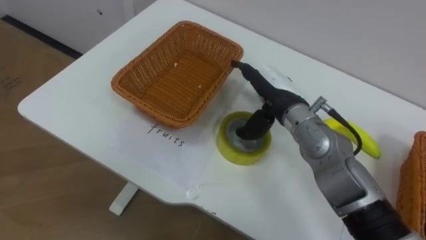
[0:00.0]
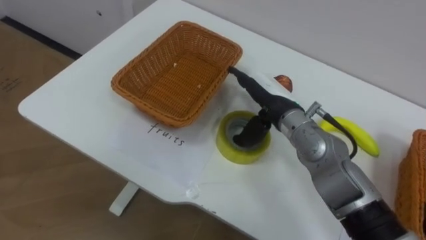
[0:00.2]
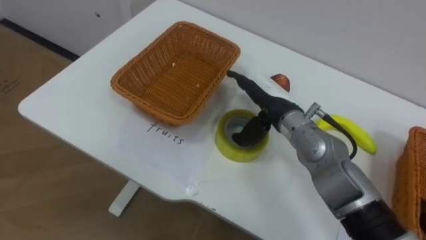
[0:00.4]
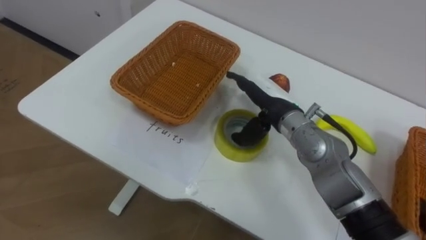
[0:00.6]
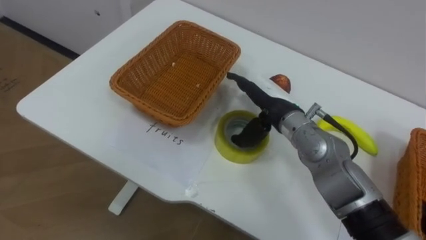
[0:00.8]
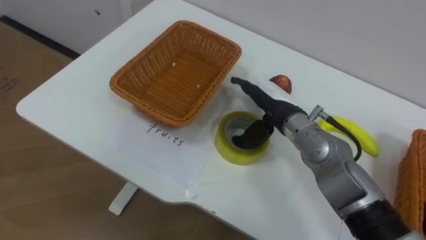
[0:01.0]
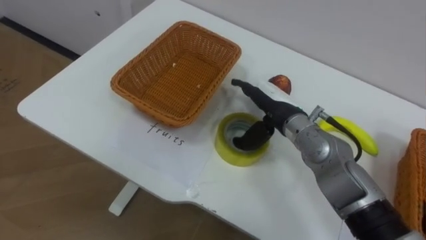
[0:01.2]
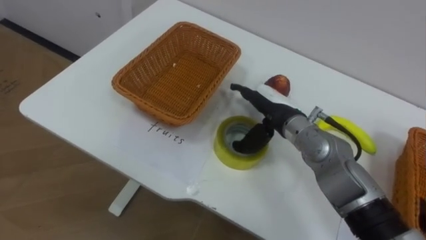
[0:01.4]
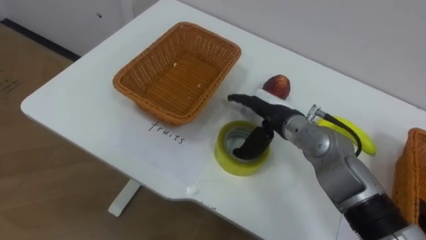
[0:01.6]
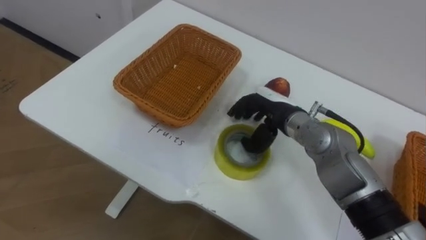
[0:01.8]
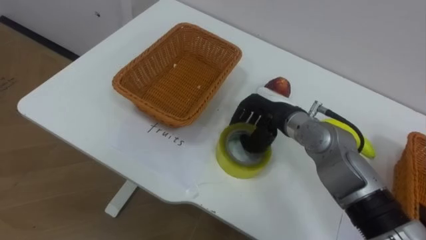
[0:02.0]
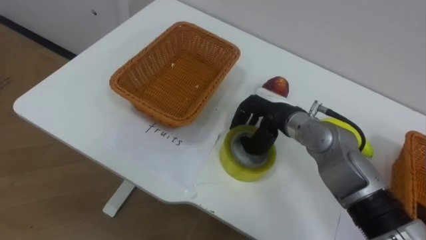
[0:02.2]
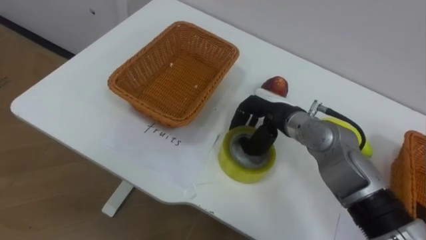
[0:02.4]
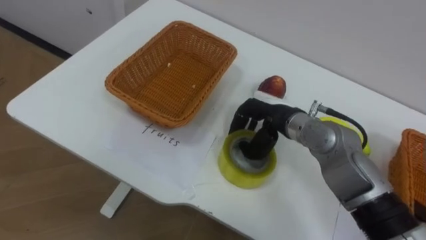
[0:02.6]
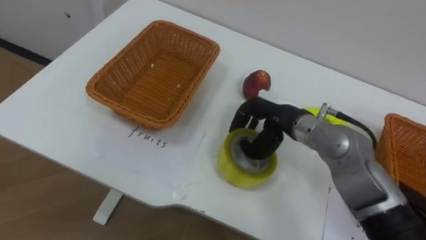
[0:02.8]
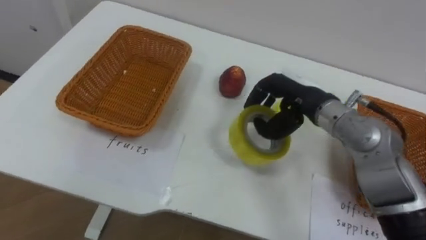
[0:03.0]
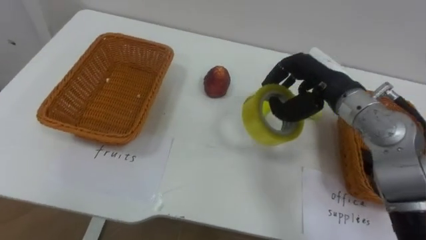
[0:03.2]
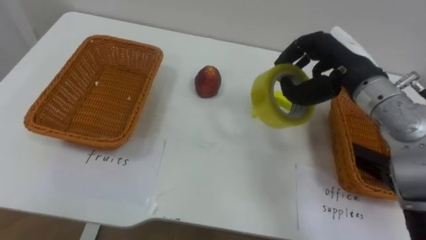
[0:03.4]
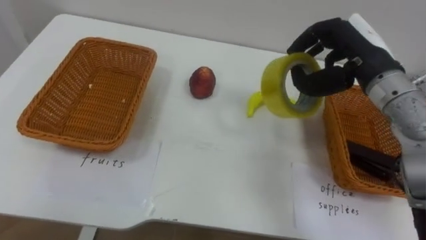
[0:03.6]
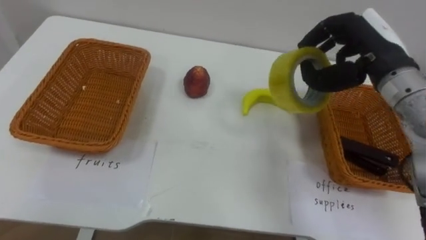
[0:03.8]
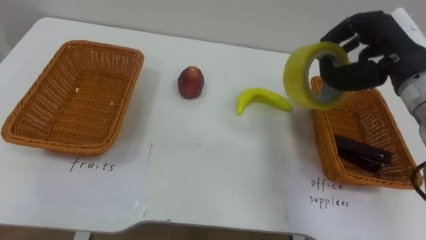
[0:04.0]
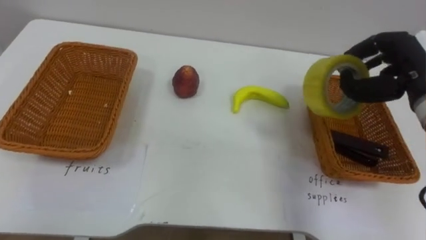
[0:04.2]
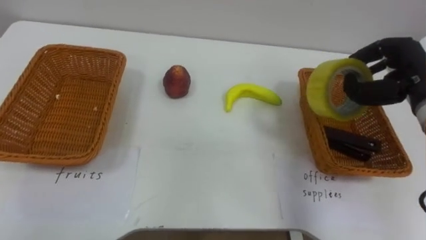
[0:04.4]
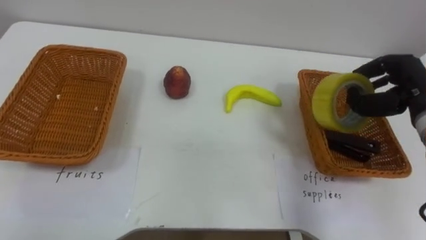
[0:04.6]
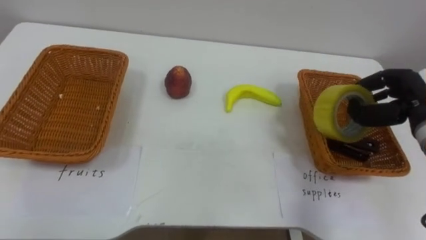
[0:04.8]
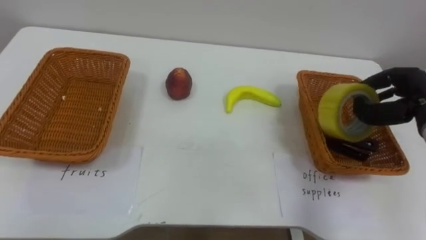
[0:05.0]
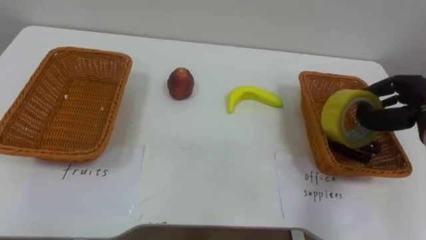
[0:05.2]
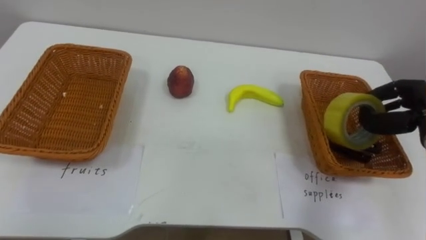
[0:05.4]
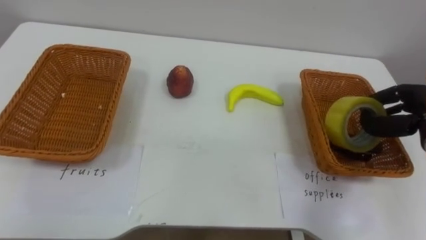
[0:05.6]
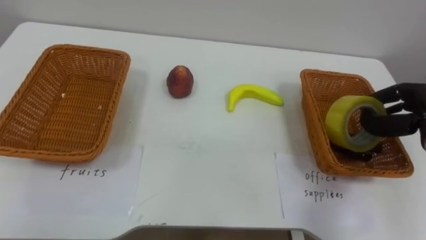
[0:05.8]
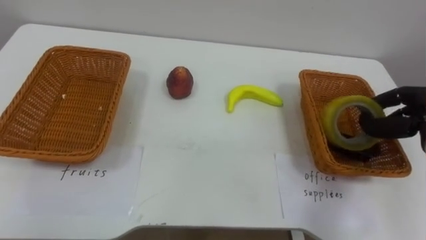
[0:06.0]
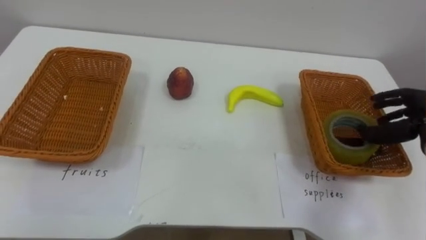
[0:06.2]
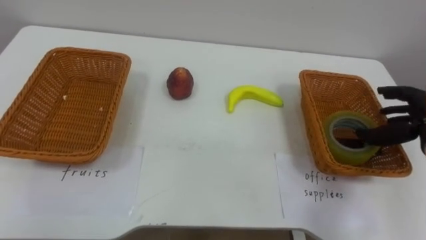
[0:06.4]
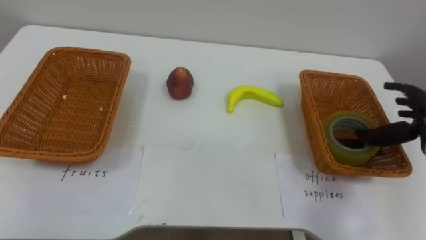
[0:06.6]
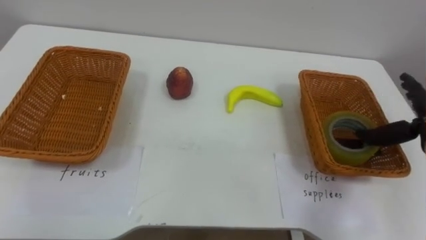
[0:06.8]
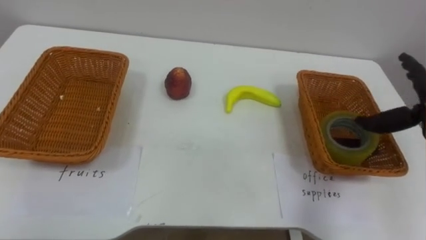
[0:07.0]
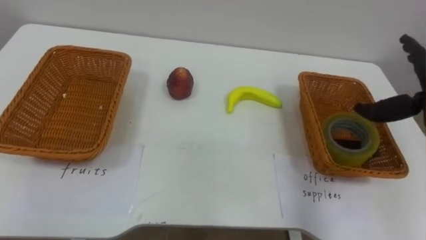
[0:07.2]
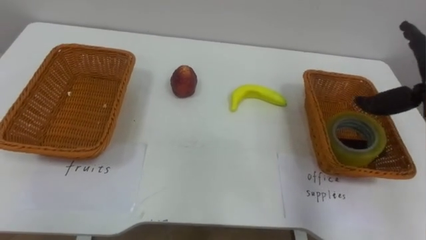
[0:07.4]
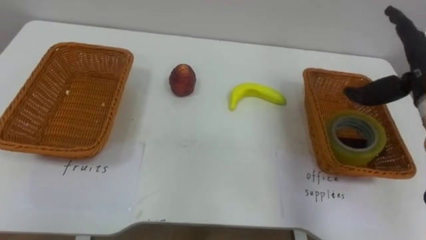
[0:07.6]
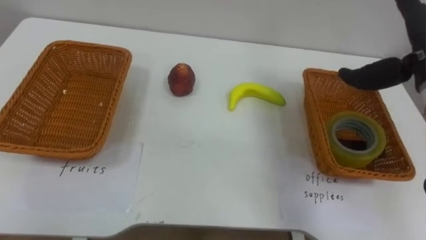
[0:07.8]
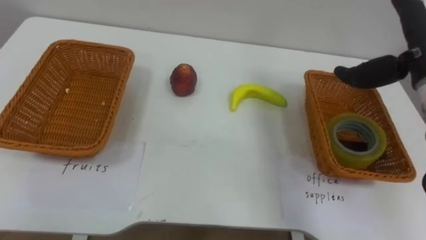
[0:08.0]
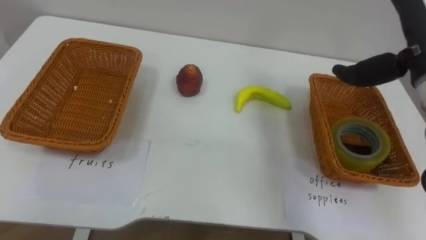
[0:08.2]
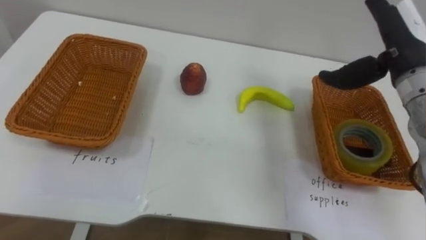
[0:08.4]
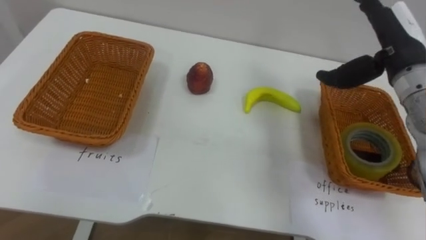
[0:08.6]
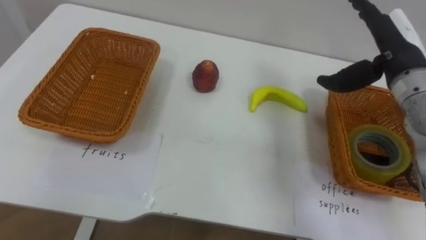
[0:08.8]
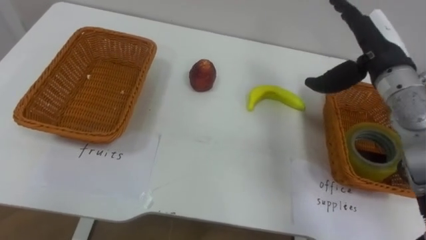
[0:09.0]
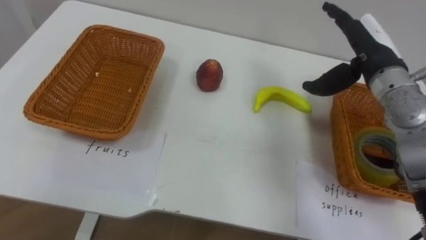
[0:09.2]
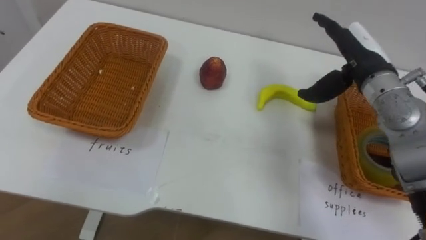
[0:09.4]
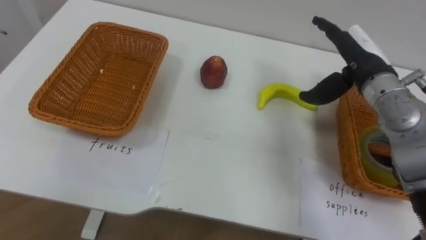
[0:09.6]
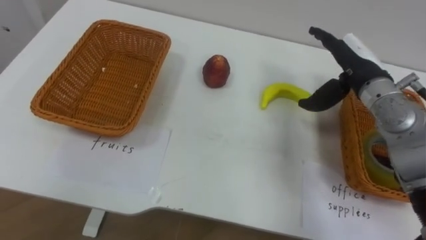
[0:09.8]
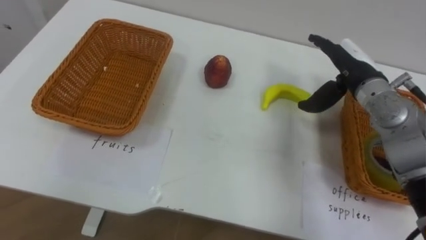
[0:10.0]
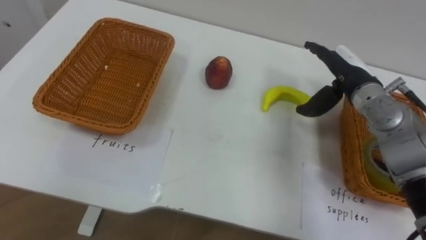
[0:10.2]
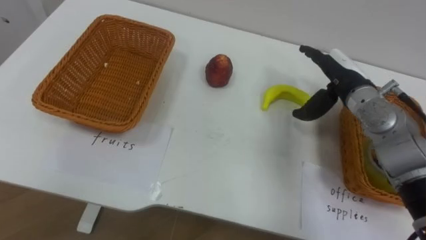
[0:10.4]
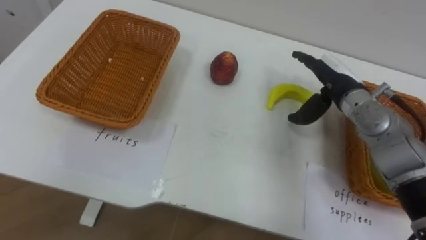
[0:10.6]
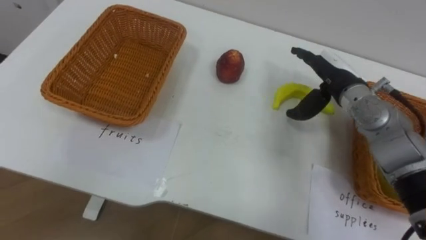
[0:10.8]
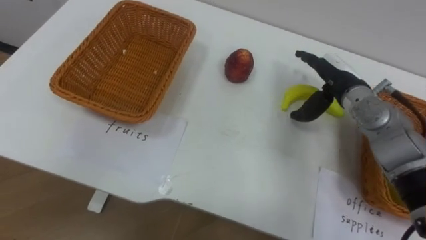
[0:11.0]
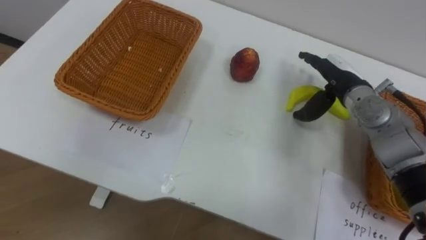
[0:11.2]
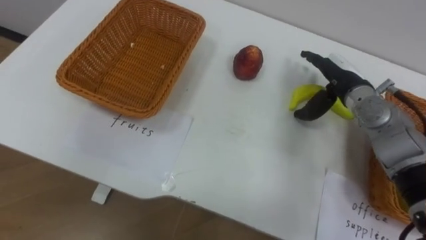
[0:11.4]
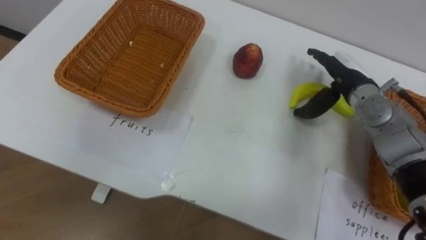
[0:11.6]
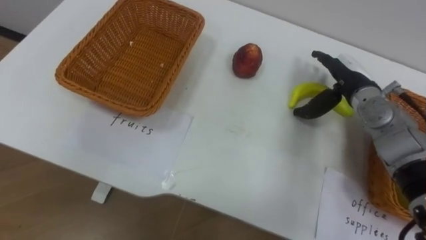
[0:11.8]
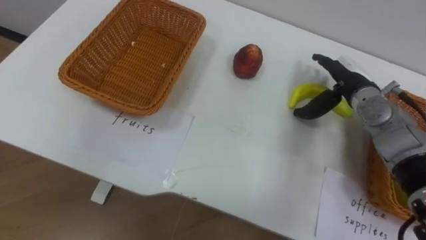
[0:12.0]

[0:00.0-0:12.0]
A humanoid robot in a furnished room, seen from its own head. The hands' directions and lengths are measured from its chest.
Task of the whole recording: Separate the items on the table and place them into the two baskets.
0:01.6 to 0:03.0: The right hand heads upward, covering approximately 5 cm, and closes.
0:03.0 to 0:04.4: The right hand shifts about 15 cm to the right.
0:04.4 to 0:06.0: The right hand goes about 10 cm downward and to the right.
0:07.6 to 0:09.0: The right hand is displaced to the left by roughly 5 cm.
0:09.0 to 0:10.4: The right hand moves downward, approximately 10 cm.

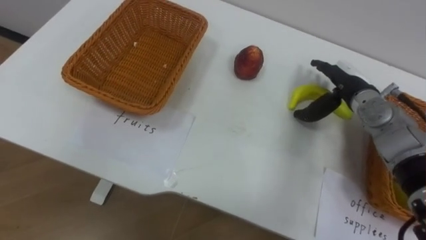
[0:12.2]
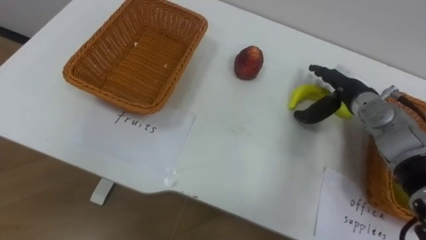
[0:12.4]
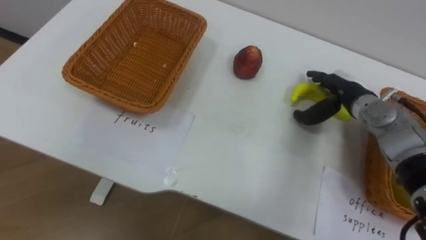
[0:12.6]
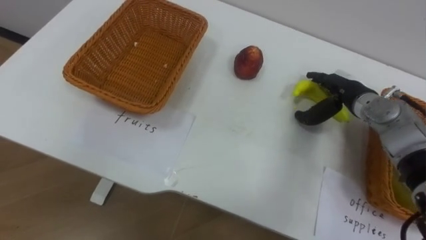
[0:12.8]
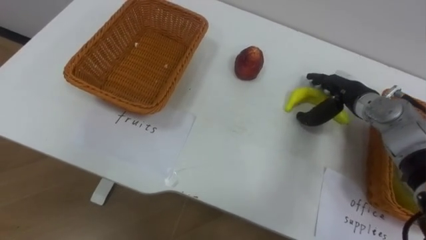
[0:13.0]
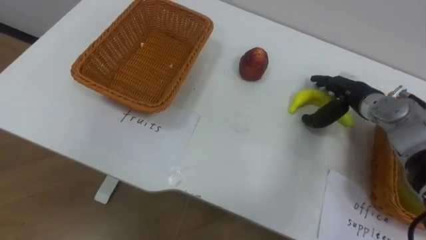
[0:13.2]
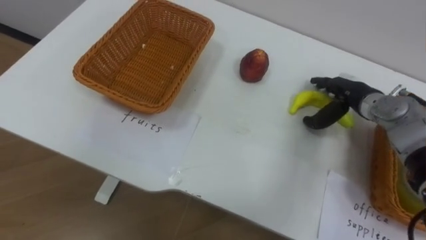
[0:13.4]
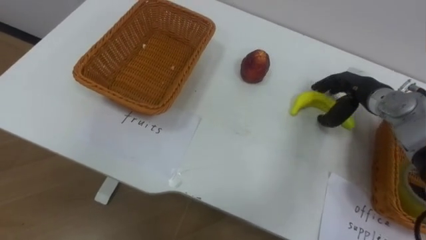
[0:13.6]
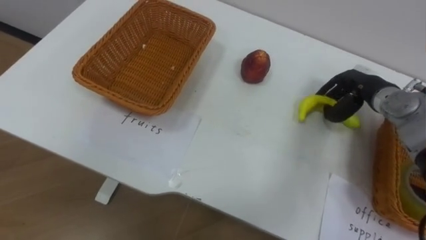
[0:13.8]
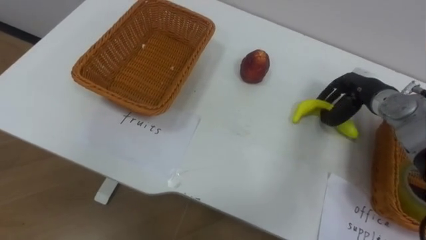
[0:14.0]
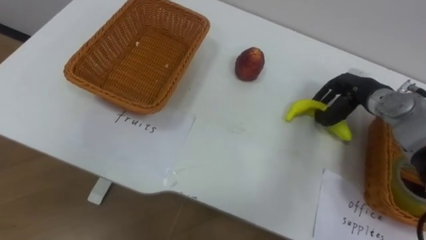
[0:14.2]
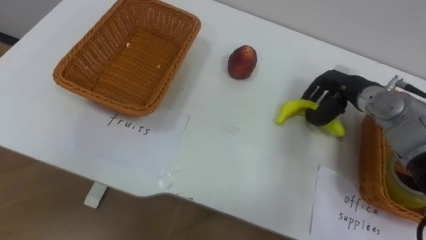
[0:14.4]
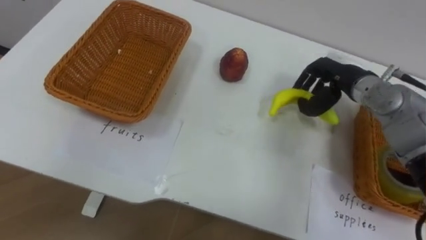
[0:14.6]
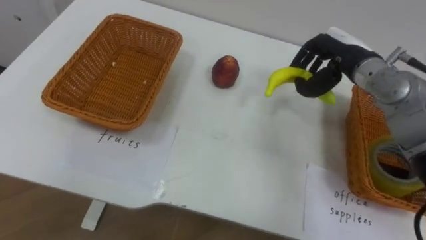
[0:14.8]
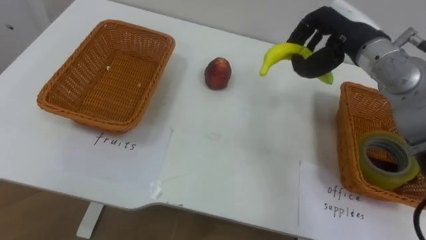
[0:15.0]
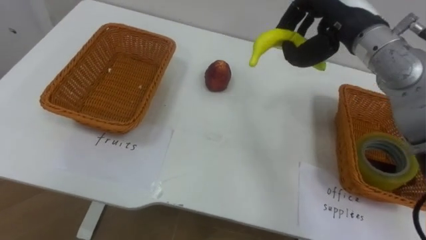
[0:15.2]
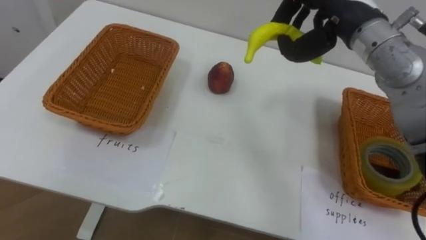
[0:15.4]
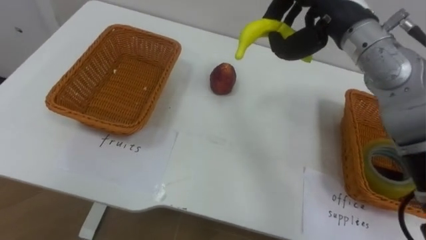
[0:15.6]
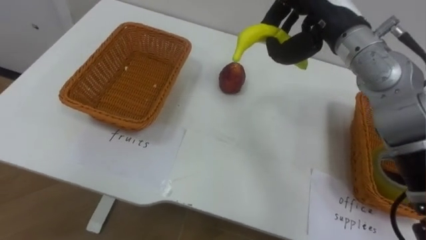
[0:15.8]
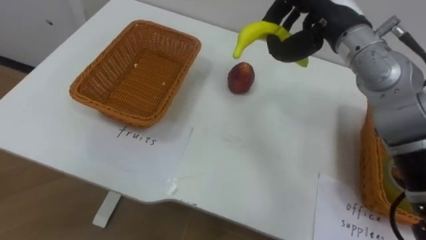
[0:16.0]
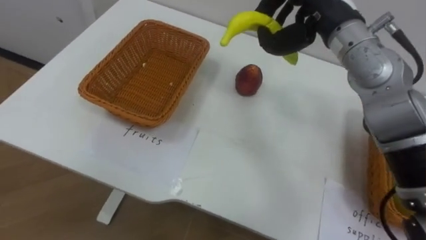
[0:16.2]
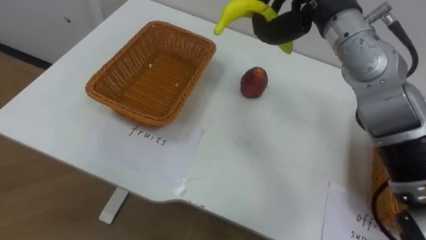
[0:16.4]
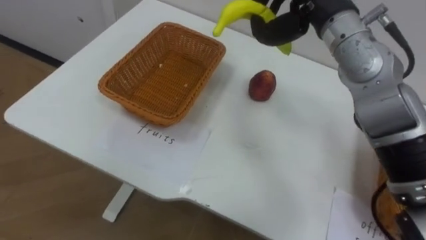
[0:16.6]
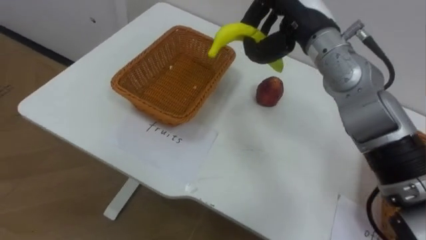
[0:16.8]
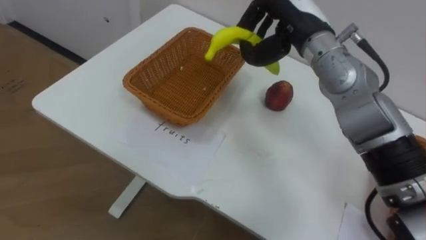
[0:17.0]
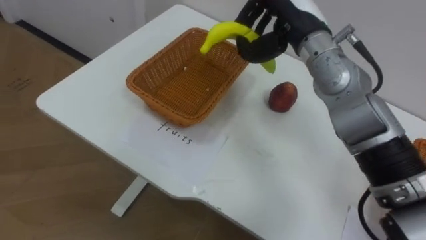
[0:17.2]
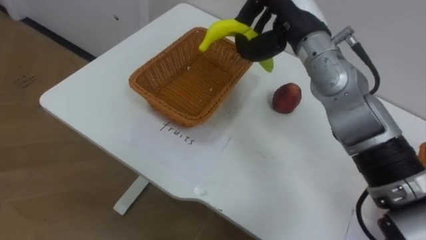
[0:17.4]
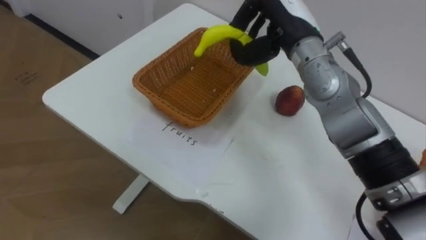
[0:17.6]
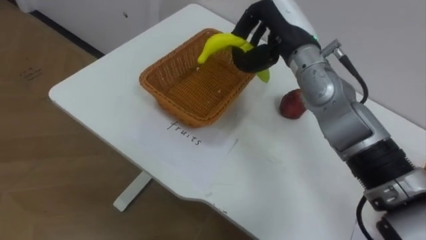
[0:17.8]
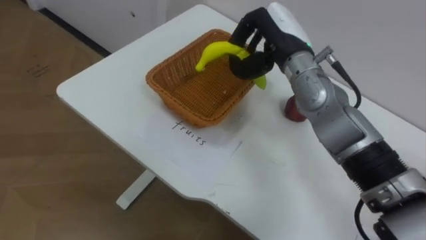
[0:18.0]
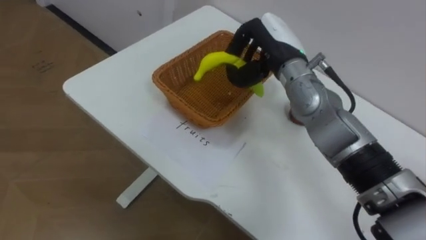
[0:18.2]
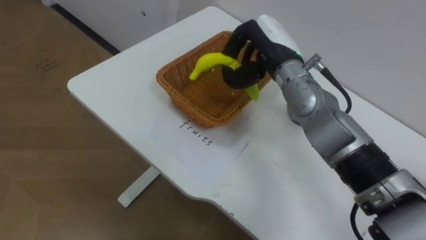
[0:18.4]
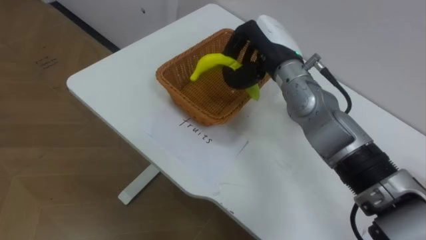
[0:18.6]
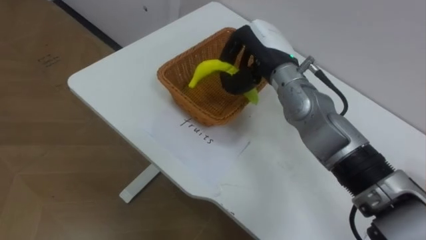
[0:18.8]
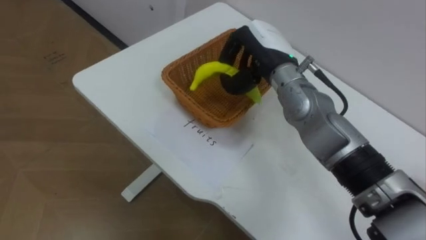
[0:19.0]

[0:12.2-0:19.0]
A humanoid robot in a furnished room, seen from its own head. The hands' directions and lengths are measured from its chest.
Task of the whole recording: Separate the items on the table and place them into the two baskets.
0:13.6 to 0:15.0: The right hand shifts roughly 15 cm upward and to the left, and closes up.
0:15.0 to 0:16.2: The right hand goes some 5 cm to the left.
0:17.6 to 0:19.0: The right hand is displaced downward by some 5 cm.
